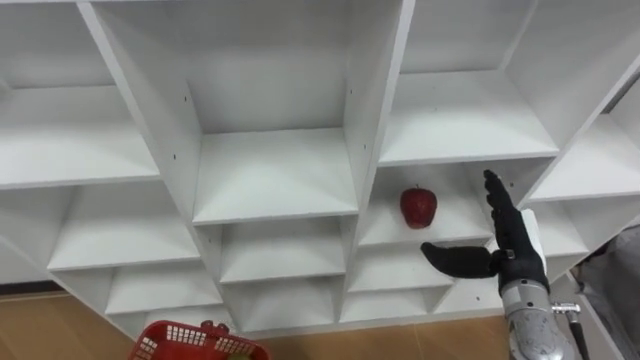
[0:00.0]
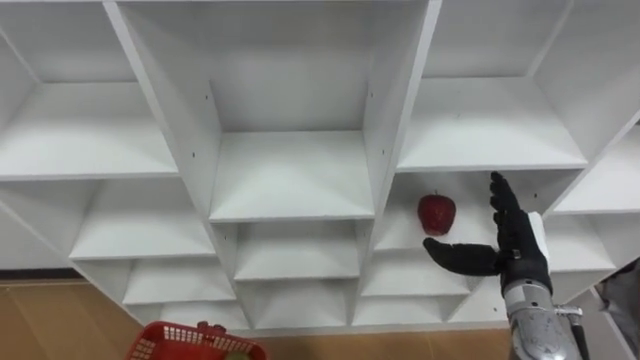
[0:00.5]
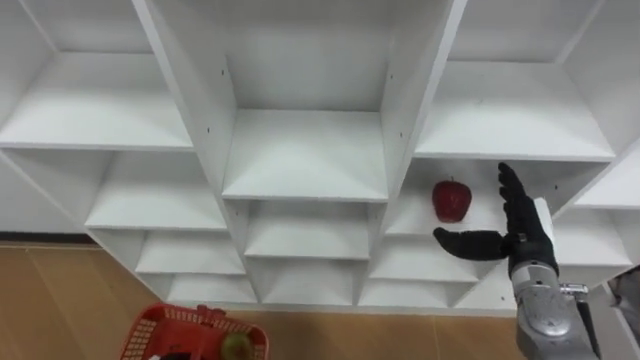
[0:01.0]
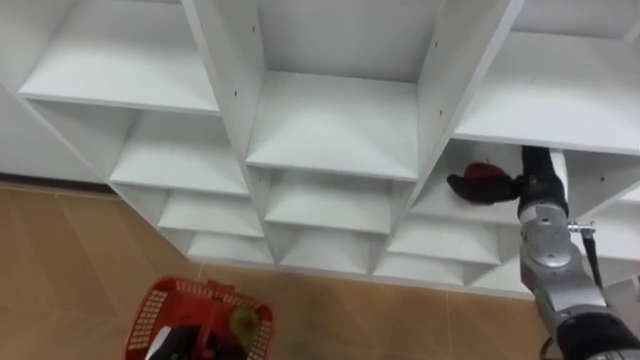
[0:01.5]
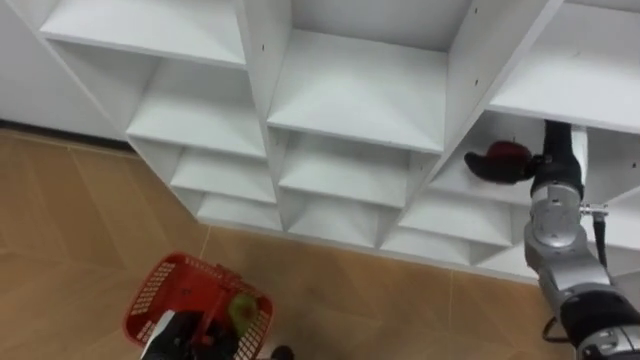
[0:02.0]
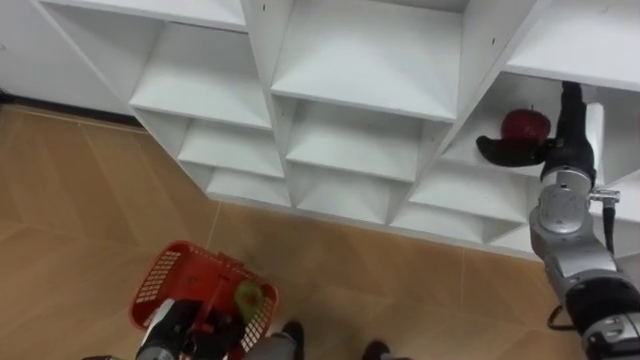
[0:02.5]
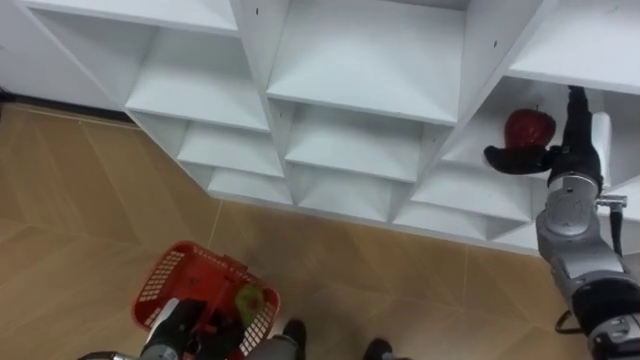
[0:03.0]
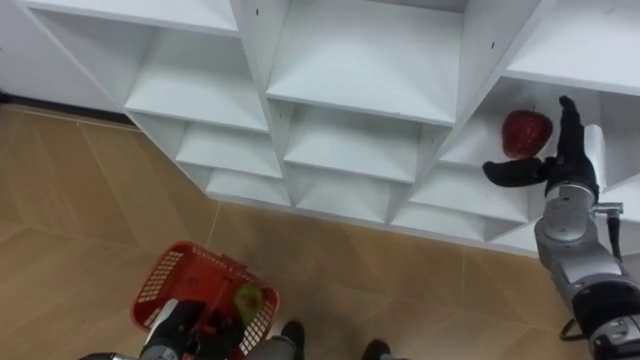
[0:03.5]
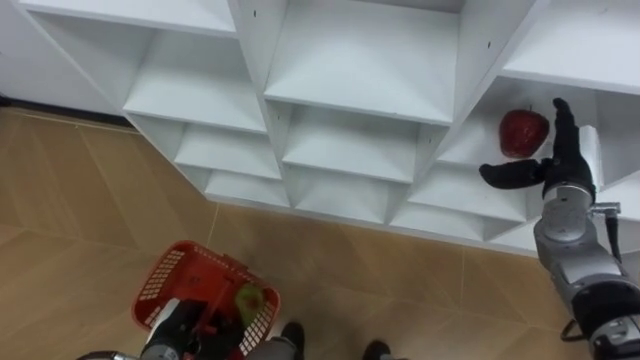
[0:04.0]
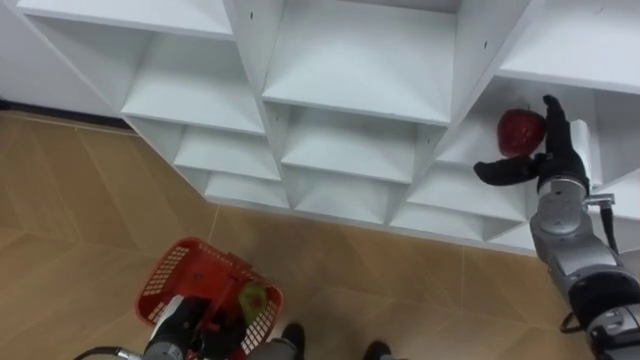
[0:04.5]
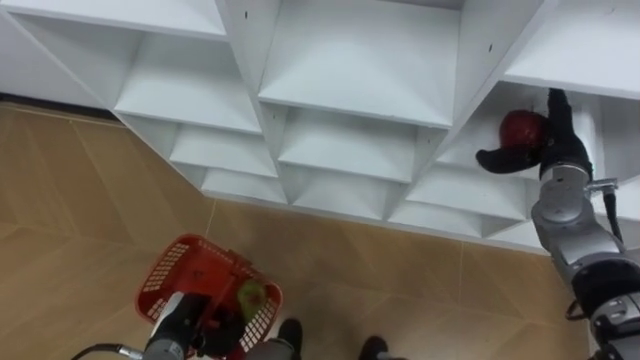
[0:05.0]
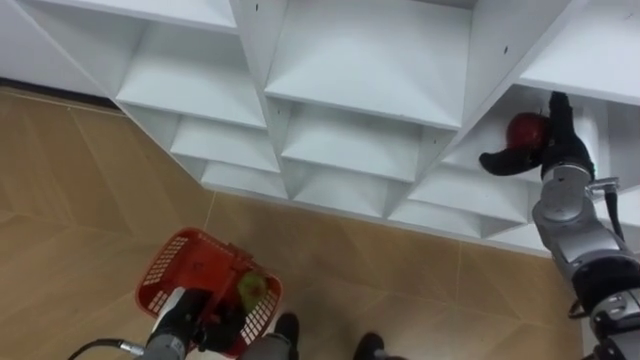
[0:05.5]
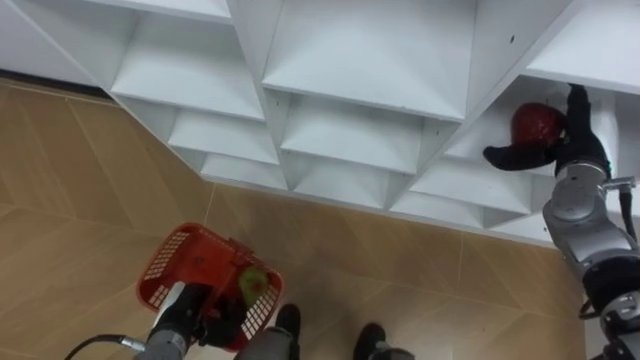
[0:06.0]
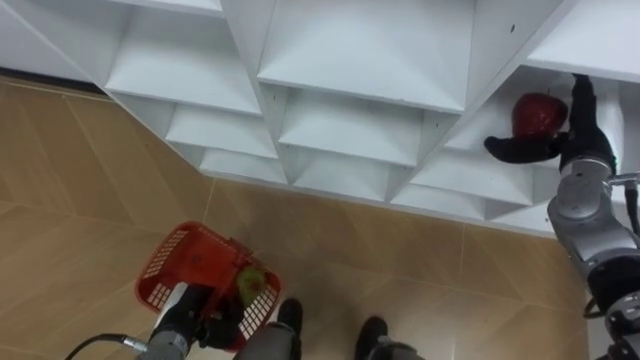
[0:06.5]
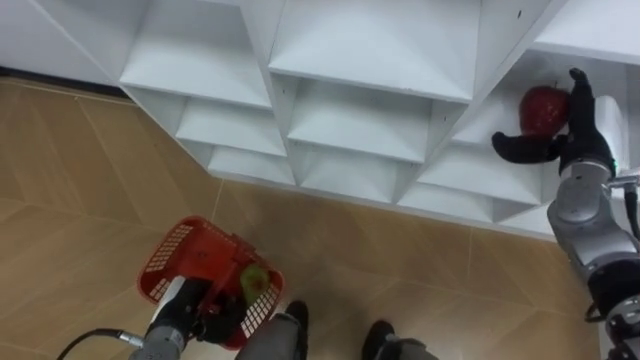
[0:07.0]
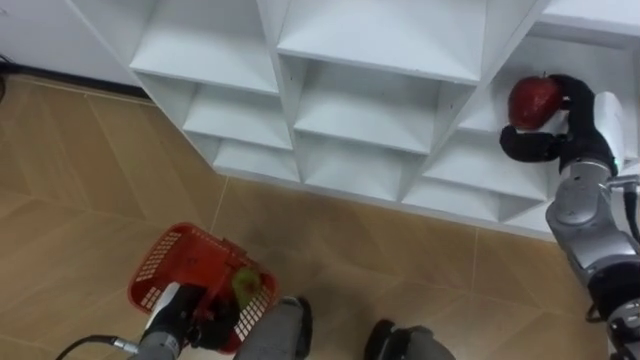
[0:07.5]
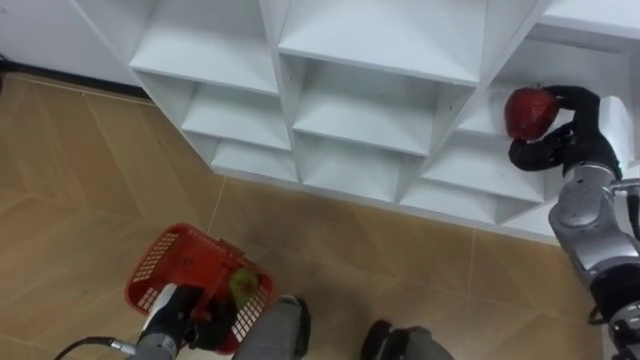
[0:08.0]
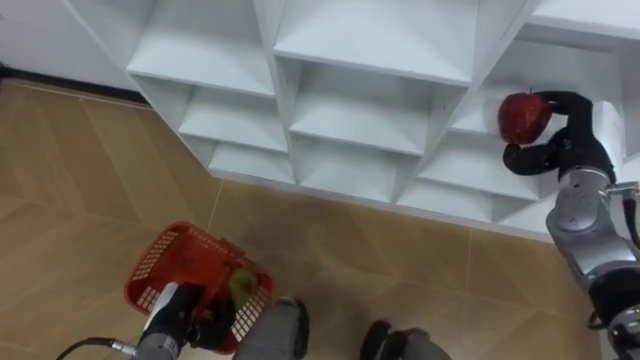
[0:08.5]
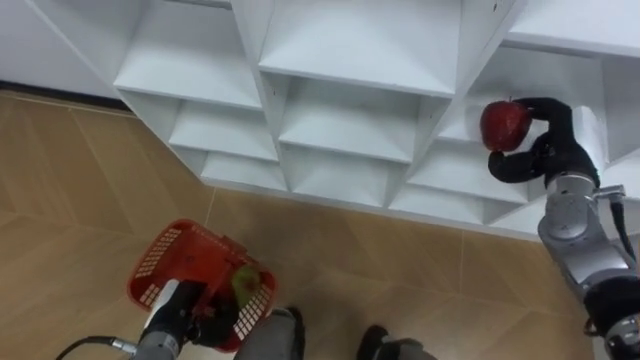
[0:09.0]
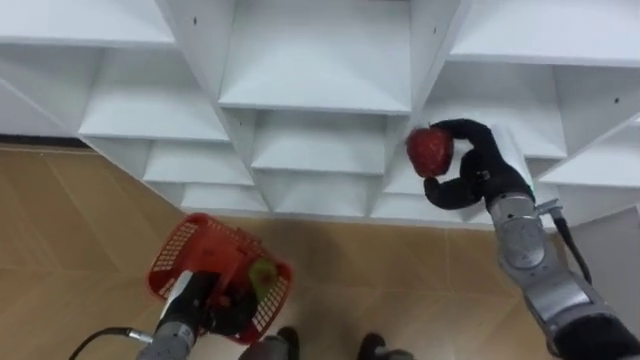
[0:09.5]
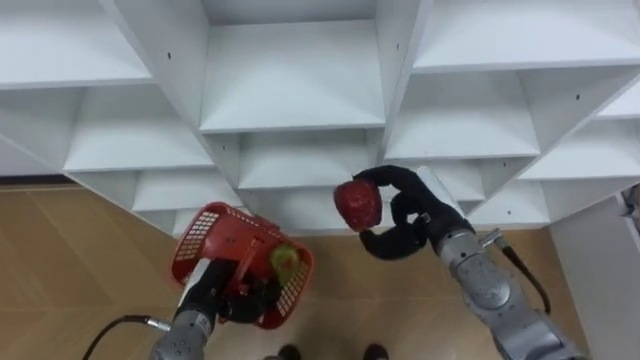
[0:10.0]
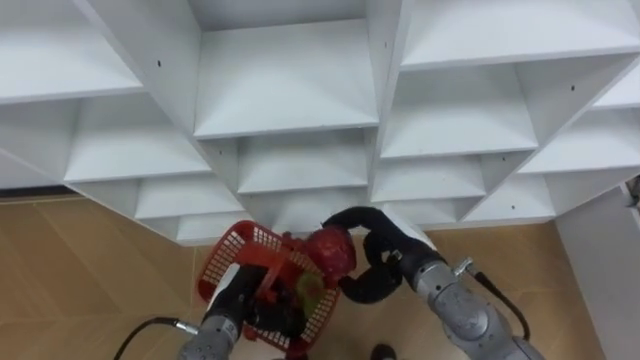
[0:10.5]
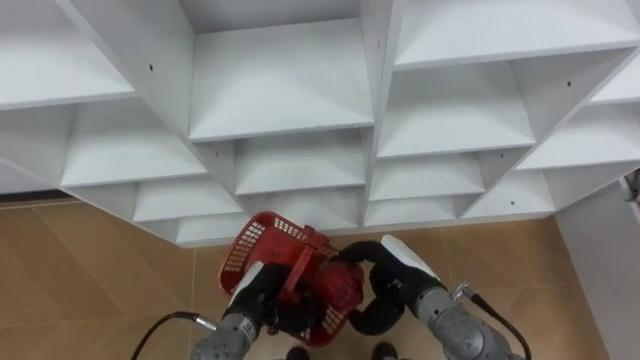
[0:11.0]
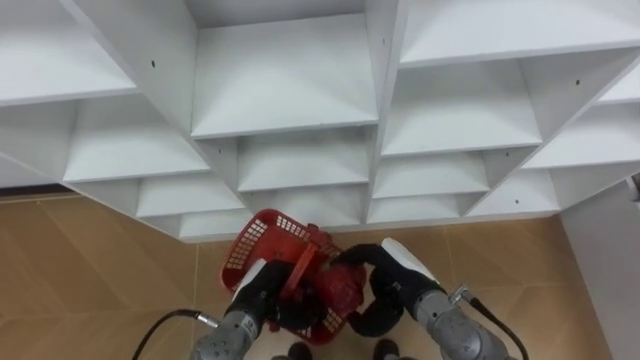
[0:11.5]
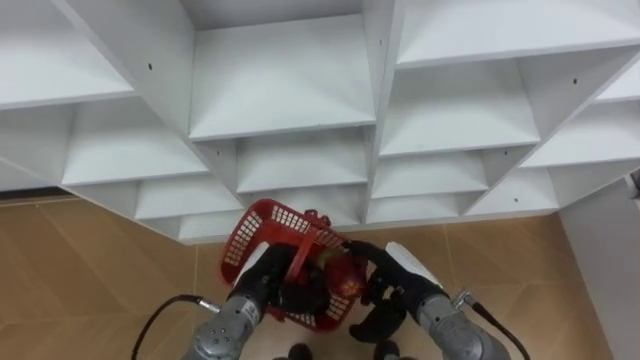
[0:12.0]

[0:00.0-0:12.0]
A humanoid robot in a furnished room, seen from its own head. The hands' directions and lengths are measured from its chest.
Task of the whole recording: Hold the basket and collect the fruits from 3 different cells of the closet into it.
0:00.0 to 0:02.0: The right hand travels forward and upward by roughly 10 cm.
0:06.0 to 0:08.0: The right hand closes.
0:08.0 to 0:10.0: The left hand ends up roughly 5 cm from where it was; the right hand is displaced to the left by roughly 20 cm.
0:10.0 to 0:12.0: The left hand heads to the right, covering roughly 10 cm. Meanwhile the right hand goes some 10 cm downward and backward.

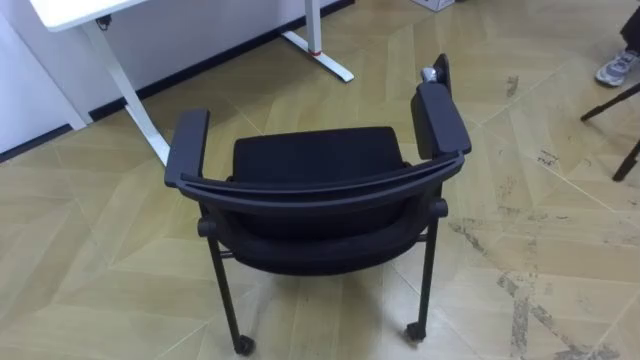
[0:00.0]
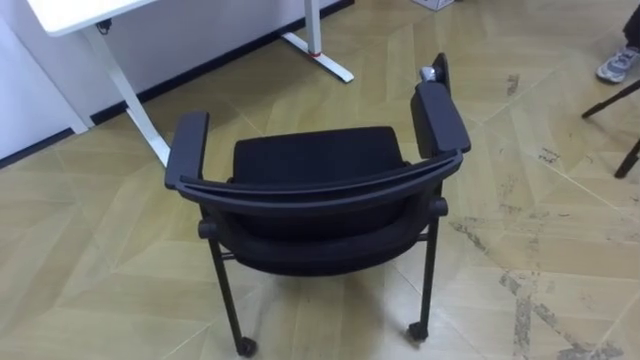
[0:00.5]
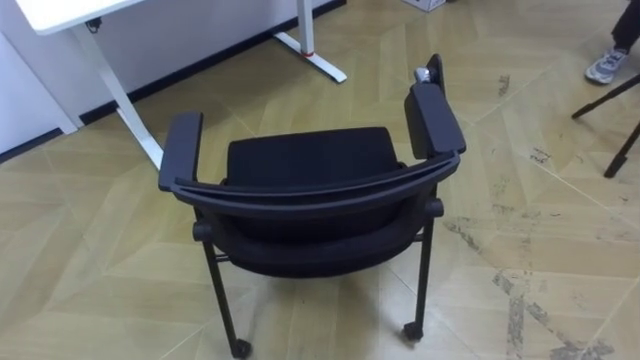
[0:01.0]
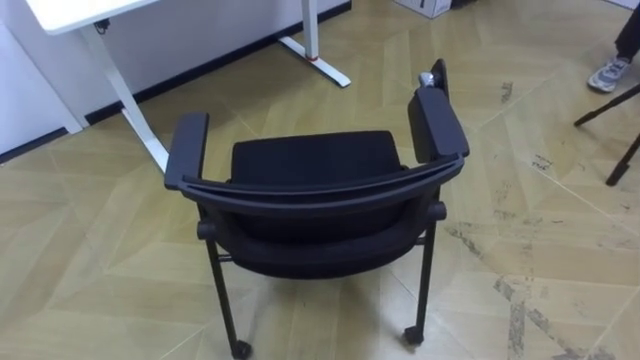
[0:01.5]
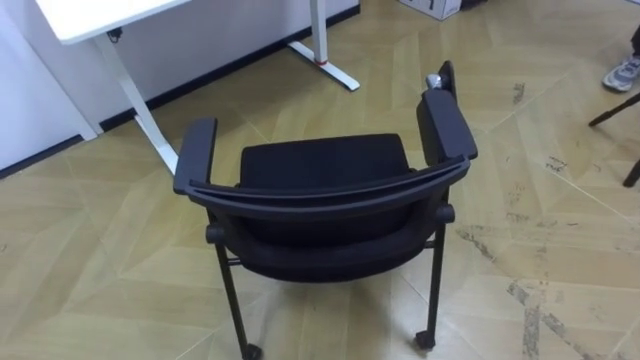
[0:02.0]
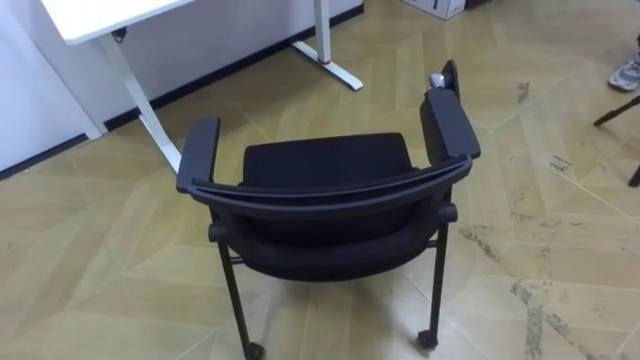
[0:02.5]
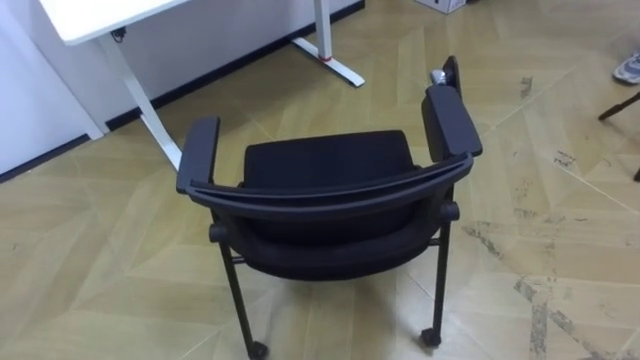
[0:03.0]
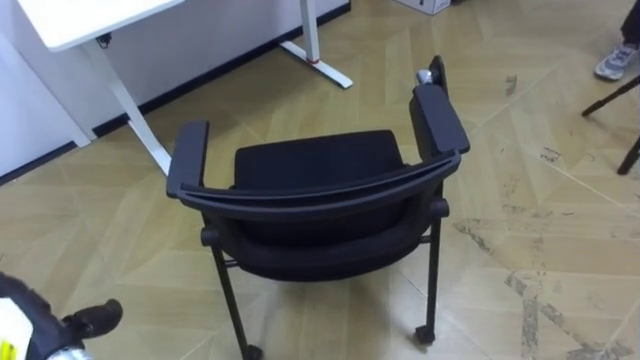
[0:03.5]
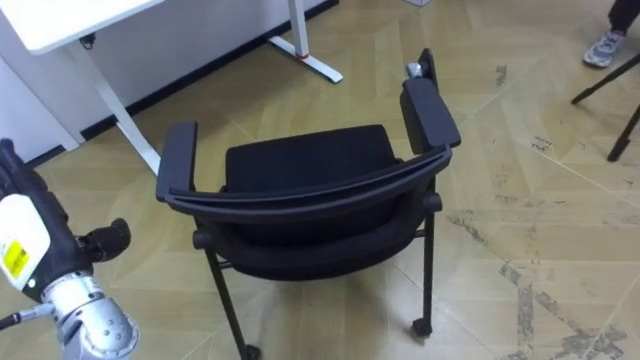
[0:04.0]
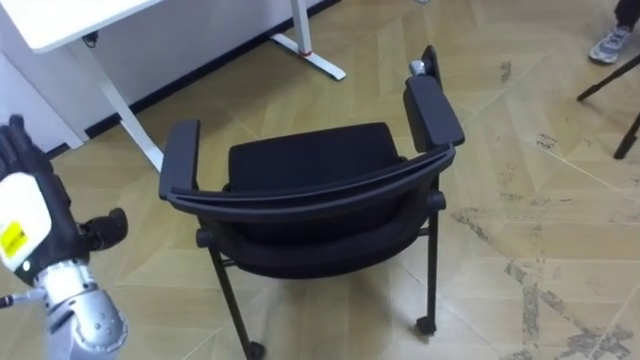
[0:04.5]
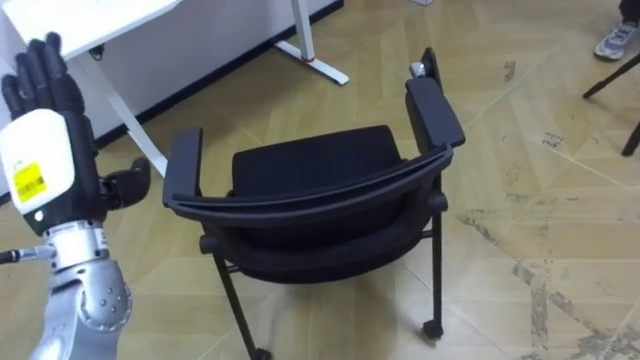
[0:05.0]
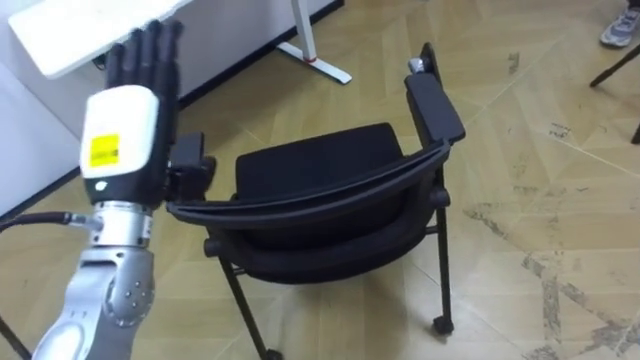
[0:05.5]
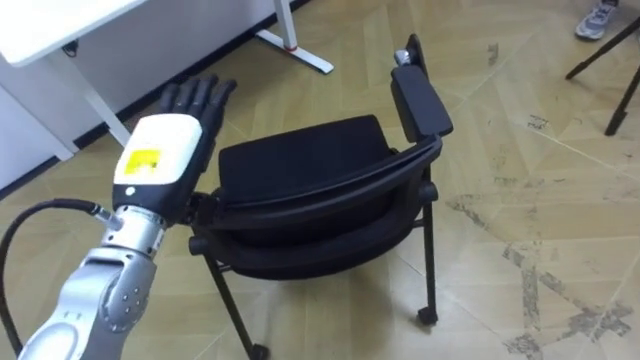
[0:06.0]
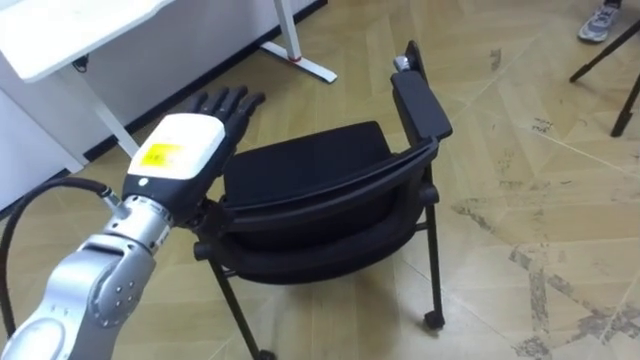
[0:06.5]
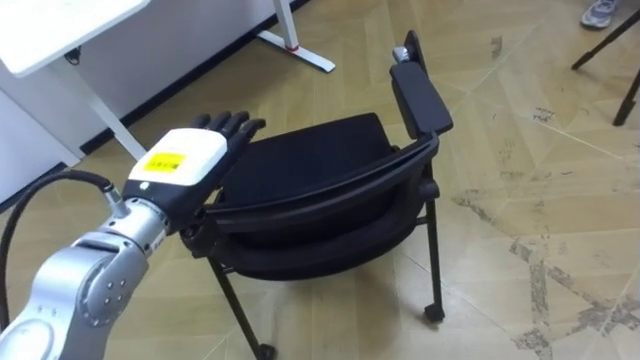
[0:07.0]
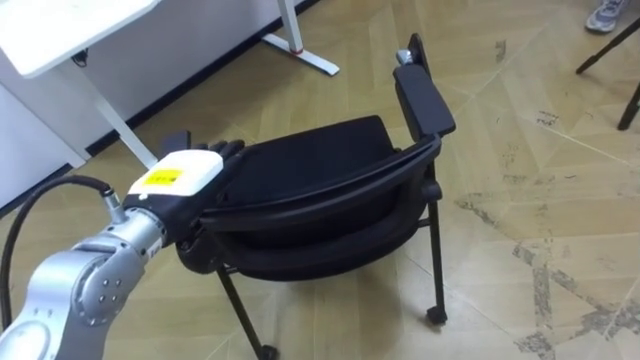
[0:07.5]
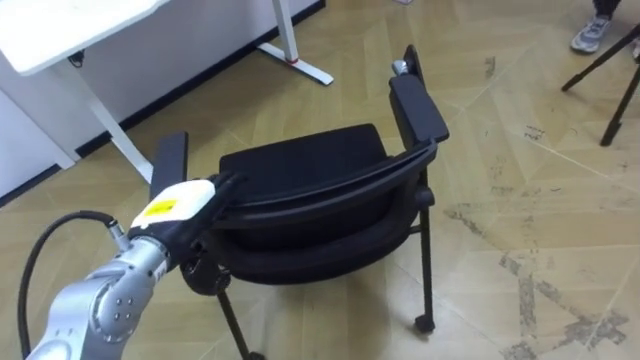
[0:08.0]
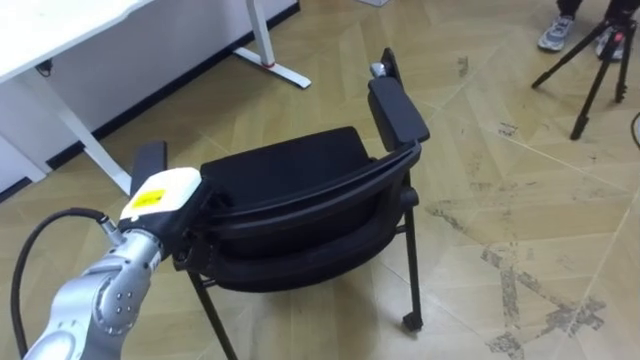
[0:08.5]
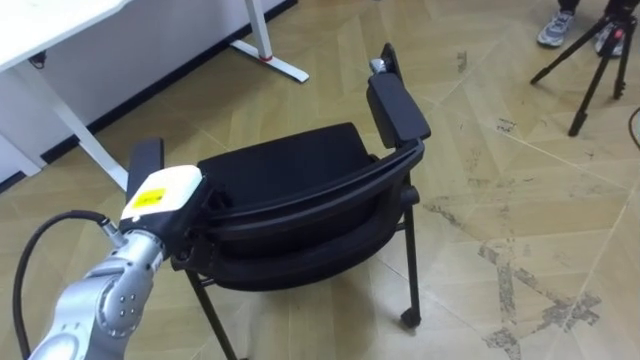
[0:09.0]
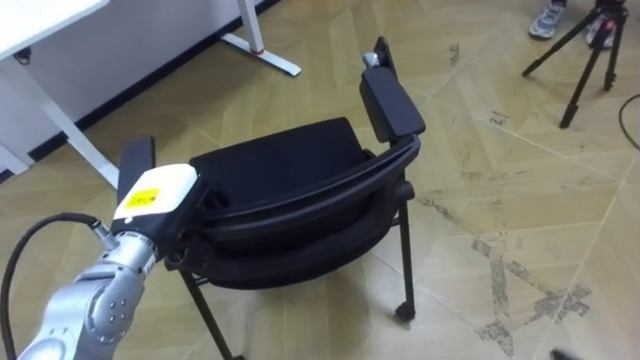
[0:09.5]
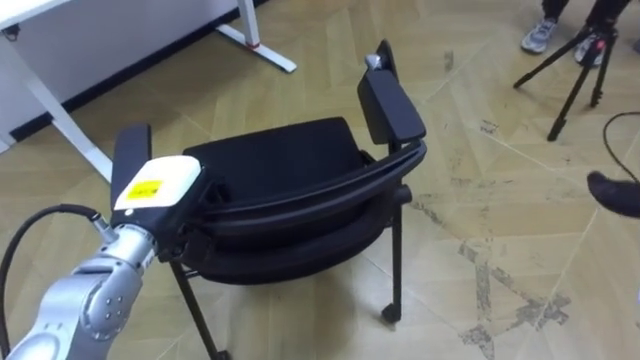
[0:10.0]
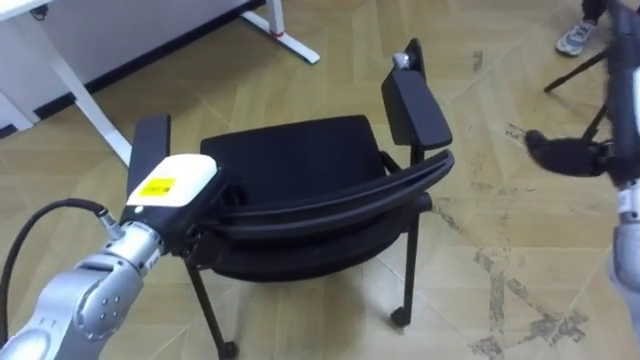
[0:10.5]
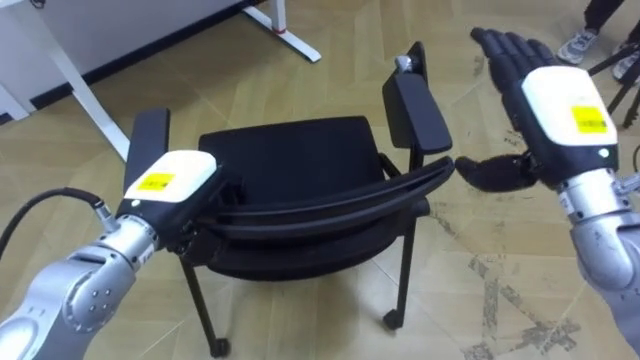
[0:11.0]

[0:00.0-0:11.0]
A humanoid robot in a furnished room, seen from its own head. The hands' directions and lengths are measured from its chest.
Task of the whole recording: Push the chair under the table.
0:03.5 to 0:05.5: The left hand travels upward, to the right and forward by some 30 cm.
0:05.5 to 0:07.5: The left hand shifts approximately 5 cm downward.
0:07.5 to 0:09.0: The left hand moves approximately 5 cm, and closes up.
